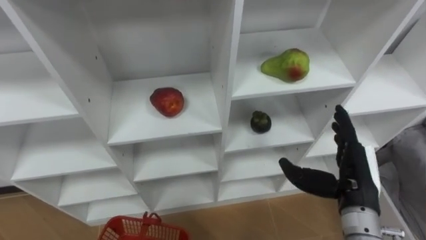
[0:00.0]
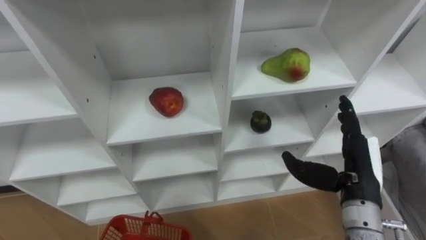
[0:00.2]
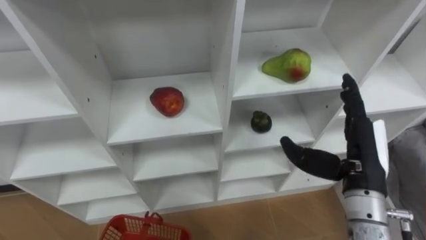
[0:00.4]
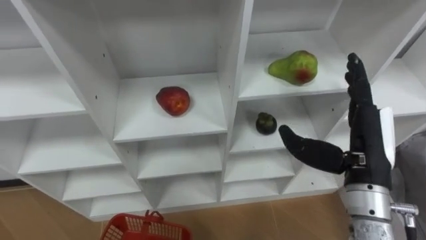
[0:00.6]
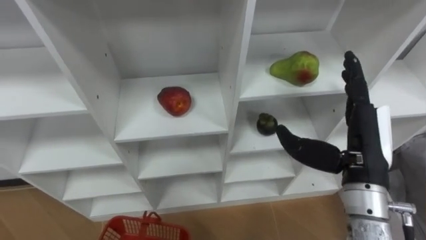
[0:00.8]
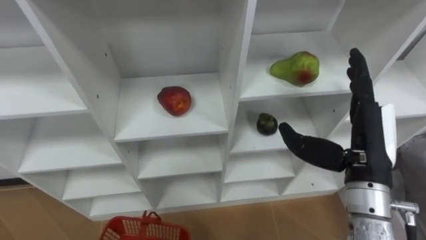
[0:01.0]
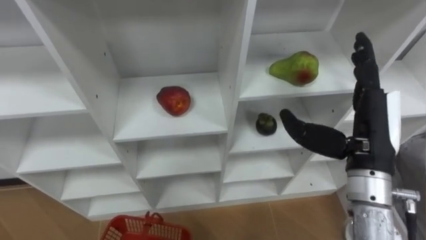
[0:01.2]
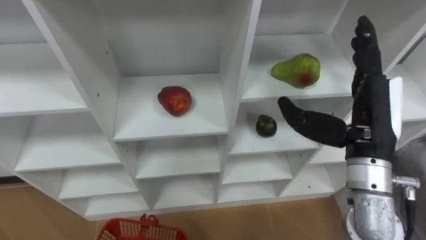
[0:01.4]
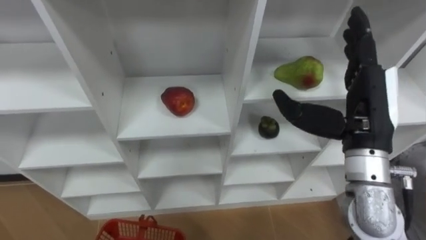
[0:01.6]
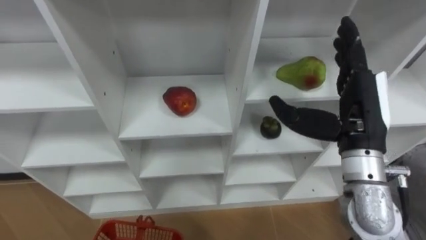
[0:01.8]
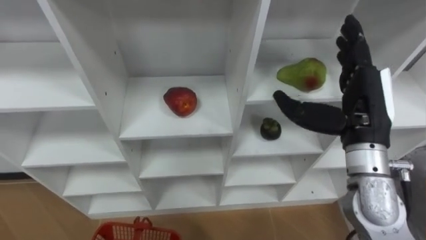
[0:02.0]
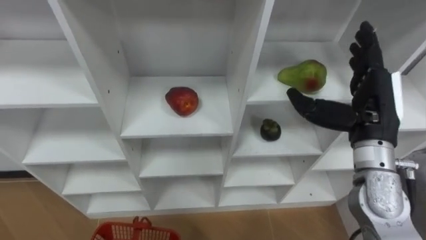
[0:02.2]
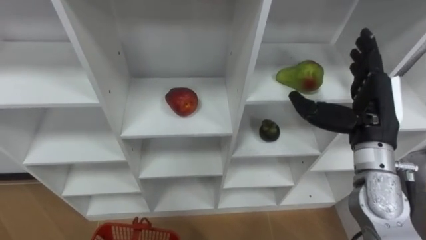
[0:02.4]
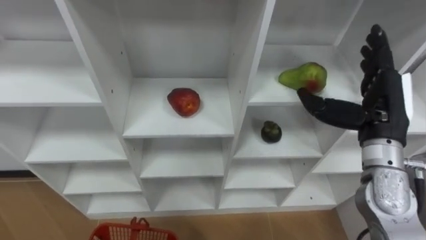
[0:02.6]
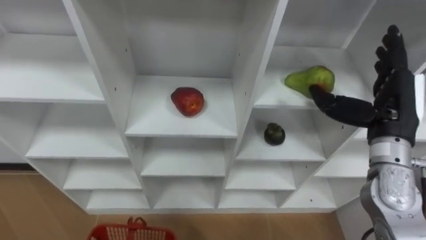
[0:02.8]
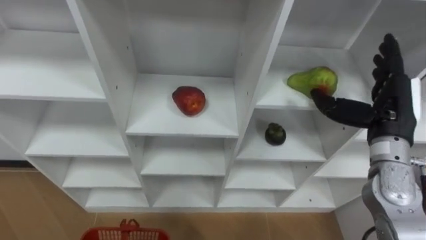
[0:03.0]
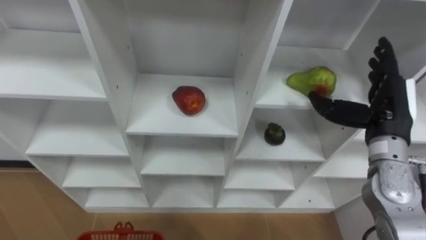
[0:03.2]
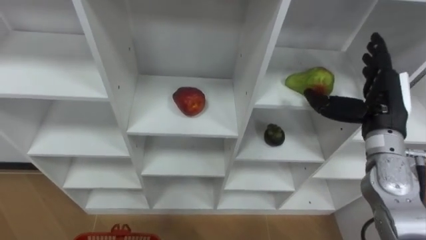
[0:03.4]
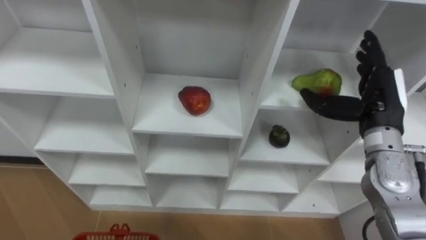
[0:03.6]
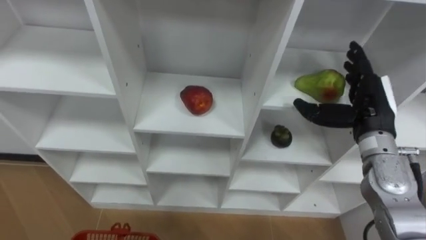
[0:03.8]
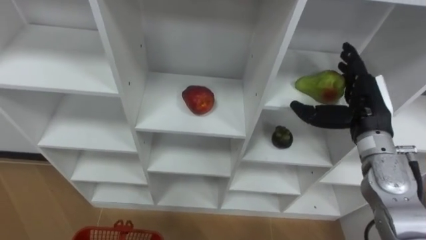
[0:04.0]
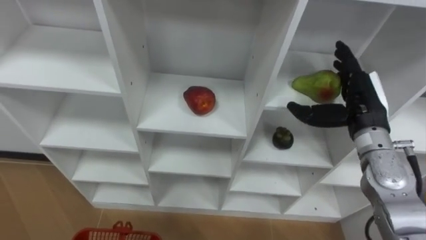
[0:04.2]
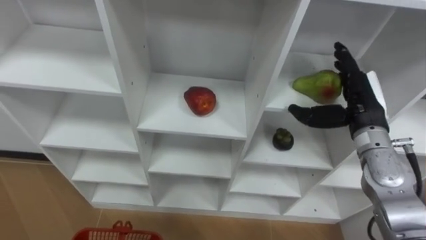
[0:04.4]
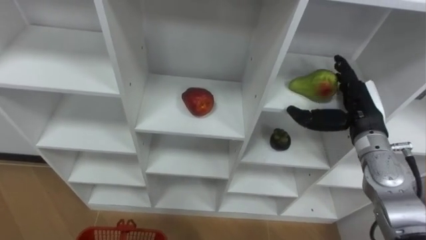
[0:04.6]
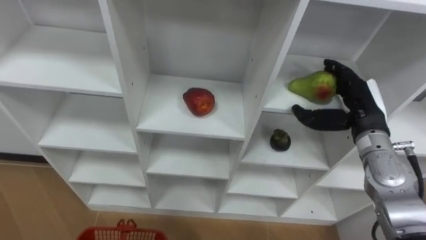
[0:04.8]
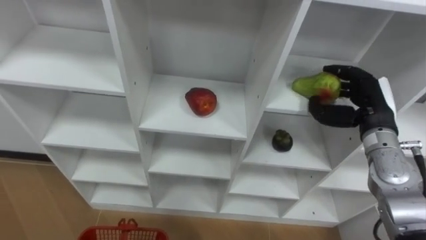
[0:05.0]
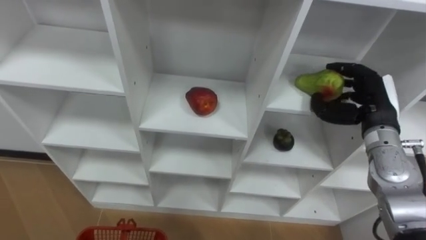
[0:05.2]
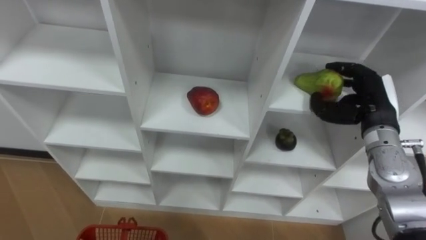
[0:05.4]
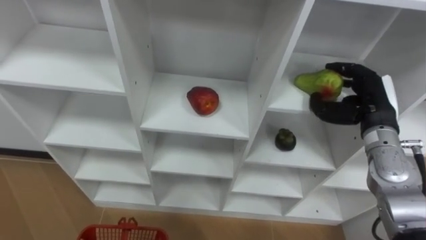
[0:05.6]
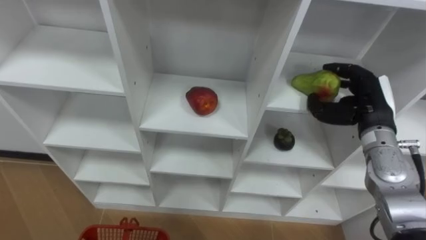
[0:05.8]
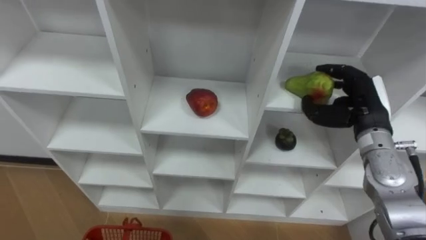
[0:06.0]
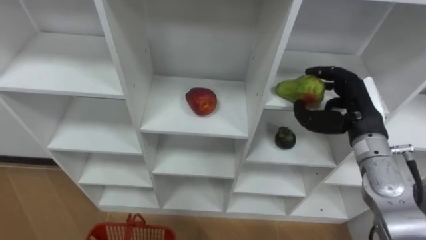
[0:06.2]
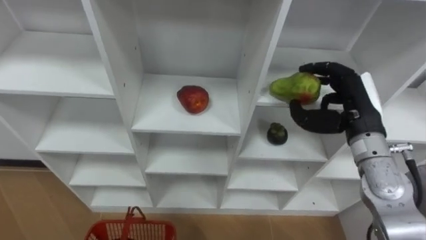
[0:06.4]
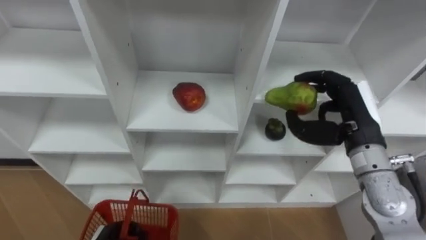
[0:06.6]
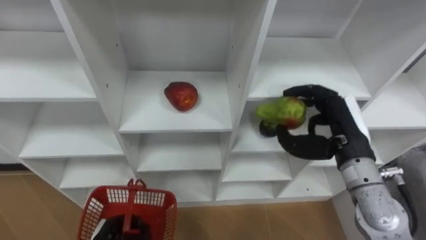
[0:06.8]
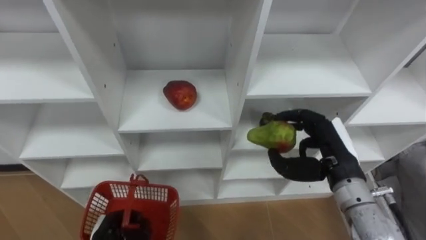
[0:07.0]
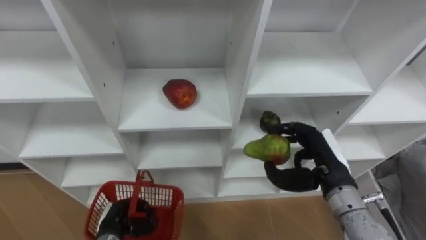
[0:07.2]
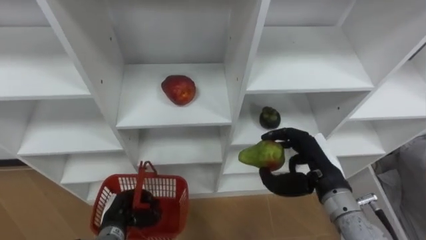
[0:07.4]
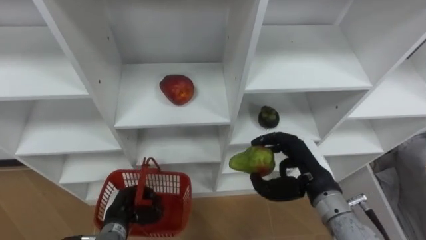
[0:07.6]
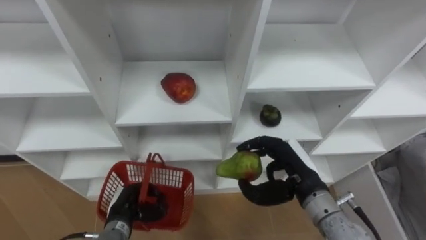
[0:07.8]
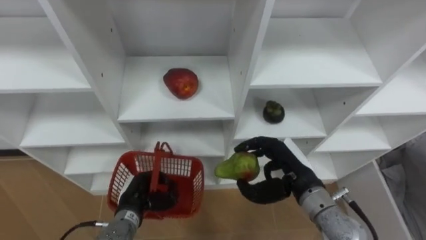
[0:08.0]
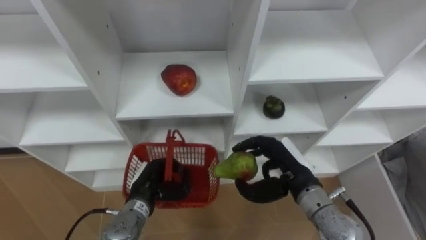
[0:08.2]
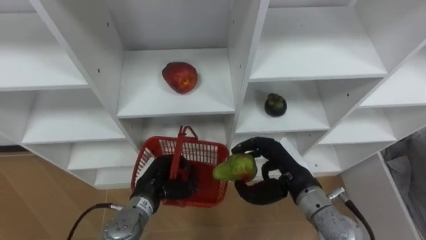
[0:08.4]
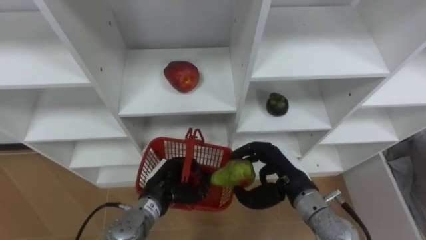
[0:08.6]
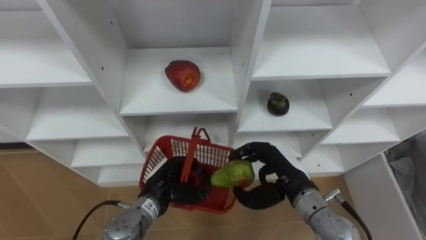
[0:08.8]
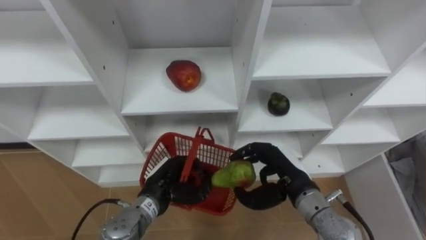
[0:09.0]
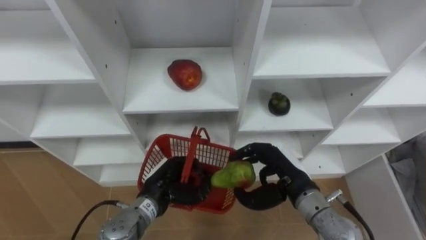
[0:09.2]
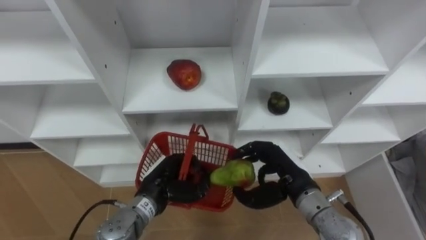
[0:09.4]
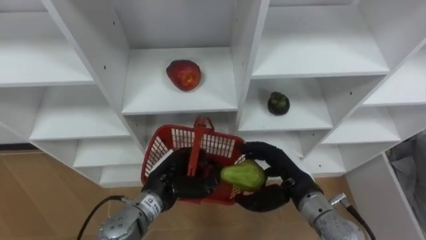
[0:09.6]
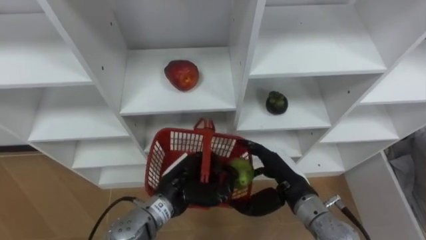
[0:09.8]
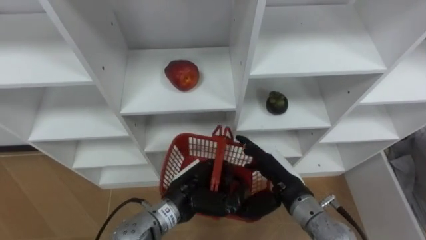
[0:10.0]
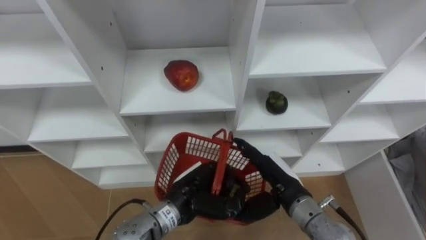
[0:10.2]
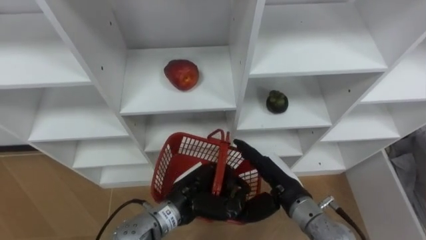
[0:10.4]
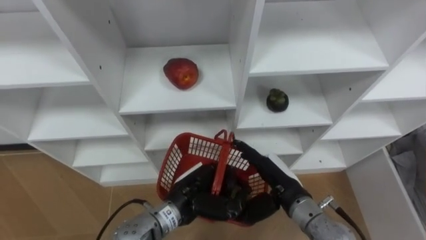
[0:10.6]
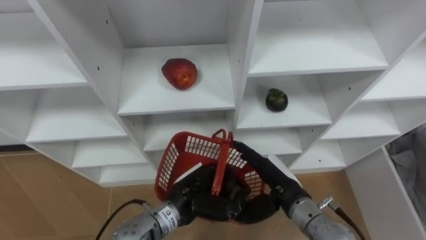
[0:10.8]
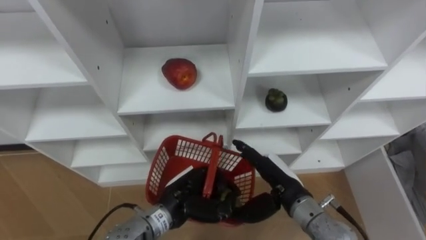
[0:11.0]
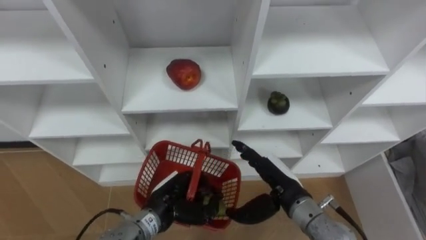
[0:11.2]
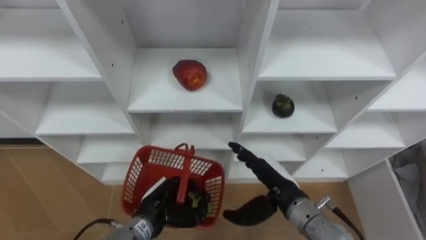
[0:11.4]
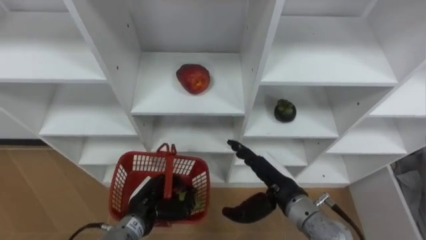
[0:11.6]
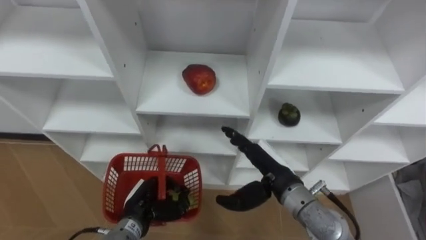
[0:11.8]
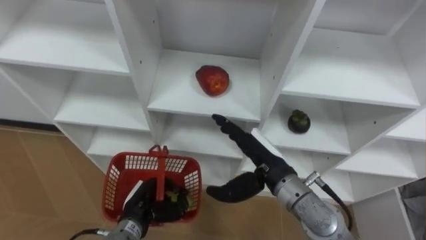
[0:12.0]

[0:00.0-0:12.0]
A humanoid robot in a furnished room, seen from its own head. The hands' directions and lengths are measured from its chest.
Task of the whole recording: Hold the basket and collect the fruits from 3 different cells of the closet into it.
0:00.0 to 0:01.6: The right hand moves upward, roughly 10 cm.
0:01.6 to 0:03.0: The right hand travels to the right and downward by roughly 10 cm.
0:04.4 to 0:06.0: The right hand closes up.
0:06.0 to 0:07.6: The right hand travels to the left, backward and downward by roughly 15 cm.
0:07.6 to 0:09.0: The left hand travels to the right and upward by about 10 cm.
0:09.0 to 0:10.4: The right hand opens. Meanwhile the left hand travels to the right by about 5 cm.
0:10.4 to 0:12.0: The left hand is displaced to the left and downward by some 15 cm, while the right hand shifts roughly 5 cm upward.

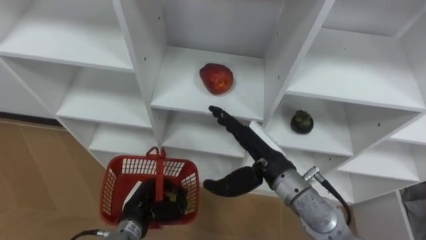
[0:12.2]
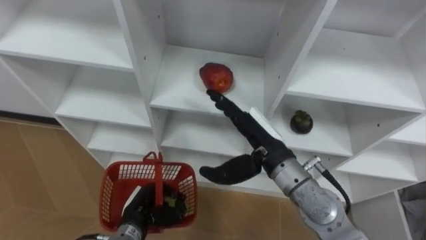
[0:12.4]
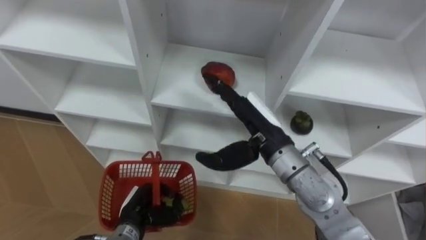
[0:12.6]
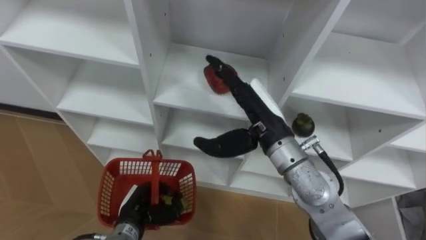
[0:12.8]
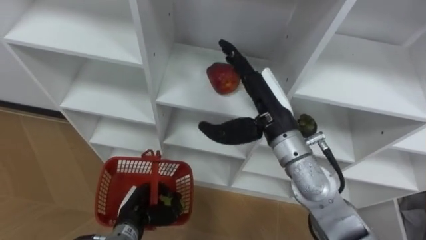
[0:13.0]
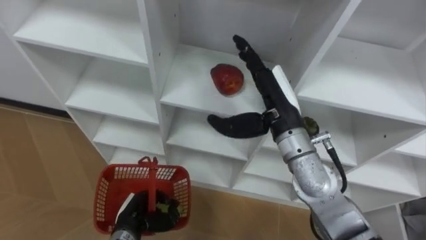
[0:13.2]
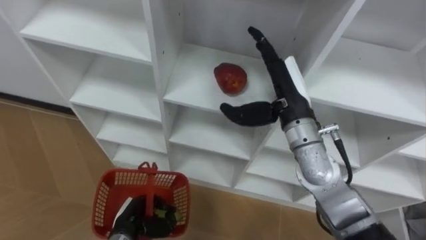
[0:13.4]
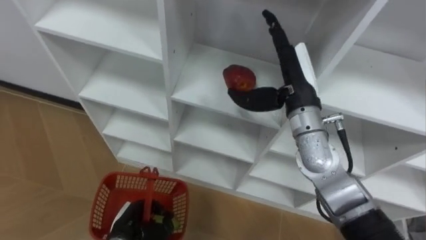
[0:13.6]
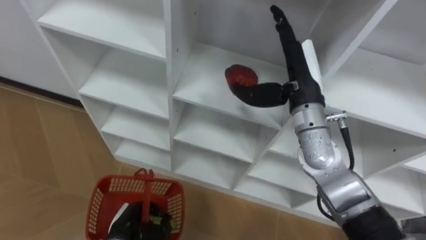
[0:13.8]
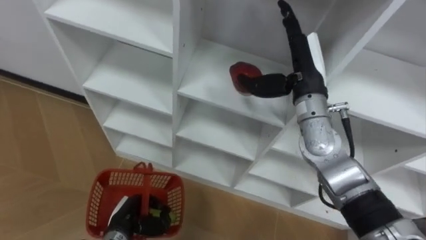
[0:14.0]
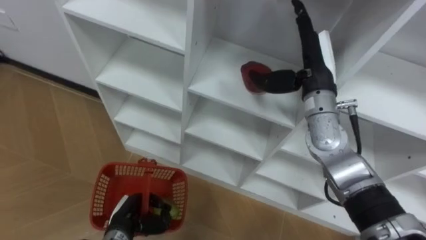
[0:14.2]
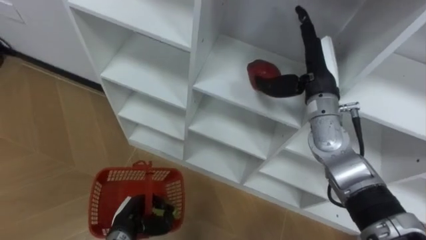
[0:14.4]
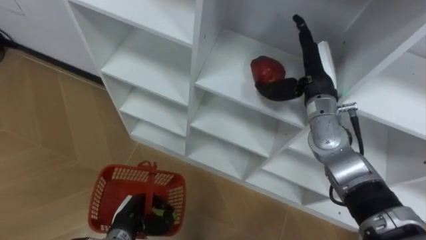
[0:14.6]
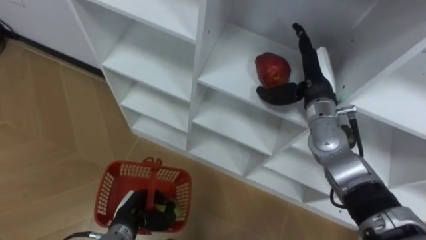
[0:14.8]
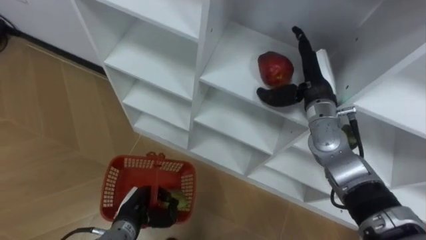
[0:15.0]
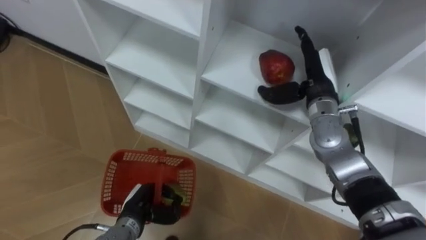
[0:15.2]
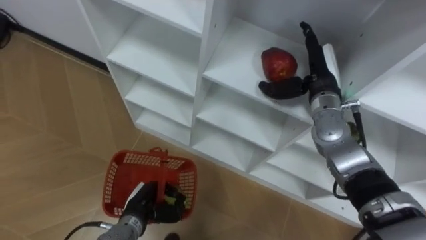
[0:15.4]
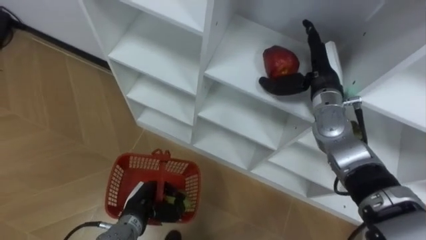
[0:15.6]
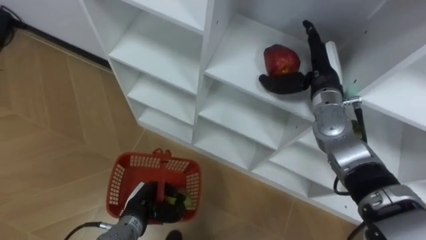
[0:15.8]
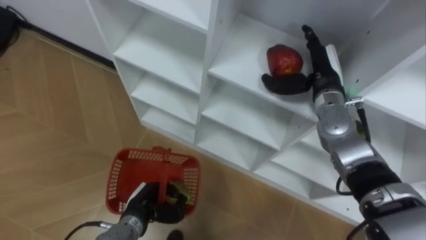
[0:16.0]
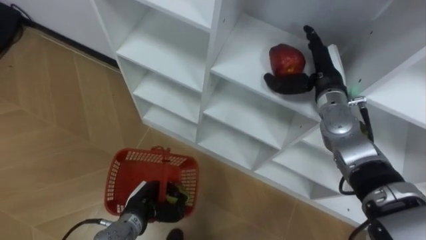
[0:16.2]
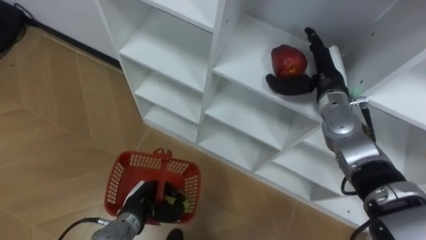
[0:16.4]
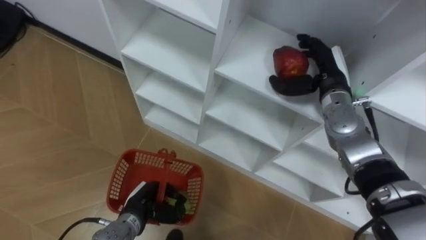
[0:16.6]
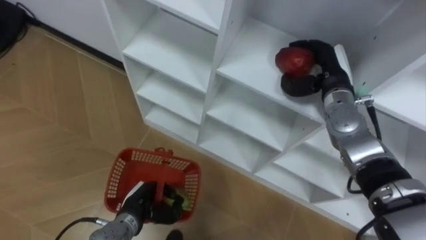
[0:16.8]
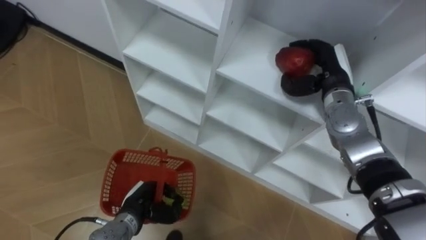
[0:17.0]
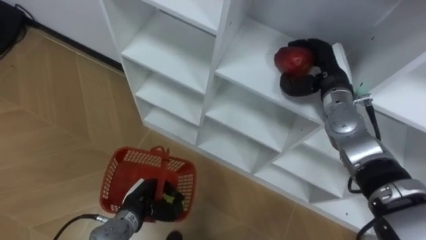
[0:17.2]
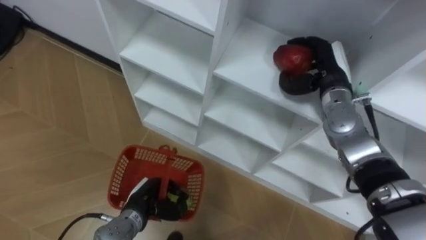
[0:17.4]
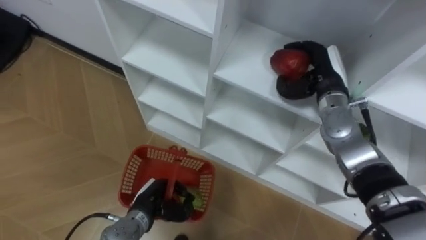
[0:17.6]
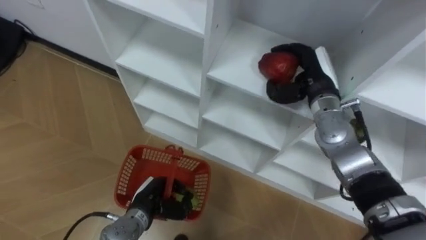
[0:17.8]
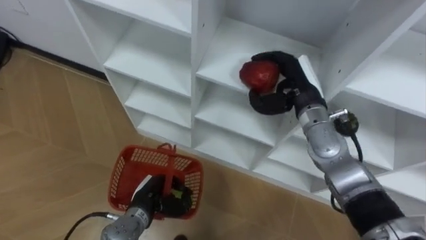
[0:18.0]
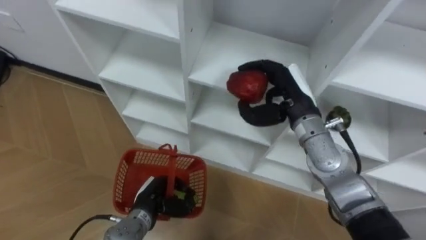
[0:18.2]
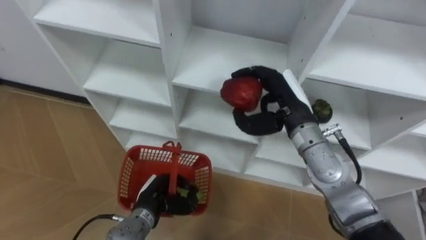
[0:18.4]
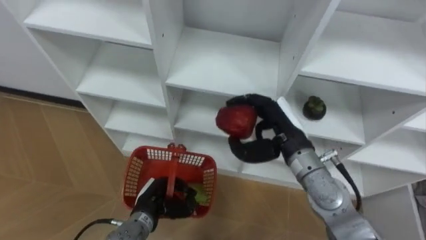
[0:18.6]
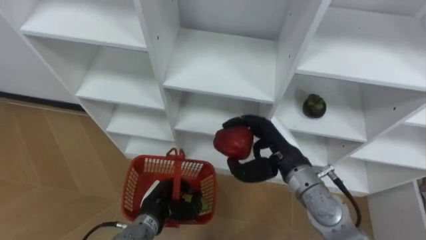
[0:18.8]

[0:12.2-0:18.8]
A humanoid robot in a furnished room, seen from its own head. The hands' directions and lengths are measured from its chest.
Task of the whole recording: Hold the basket and collect the fruits from 3 different cells of the closet into it.
0:12.2 to 0:13.8: The left hand ends up some 5 cm from where it was, while the right hand goes about 15 cm upward, forward and to the right.
0:13.8 to 0:15.4: The left hand shifts by about 5 cm, while the right hand heads to the right and forward, covering some 5 cm.
0:15.4 to 0:17.2: The right hand closes up.
0:17.2 to 0:18.8: The right hand is displaced backward and to the left by about 15 cm.
